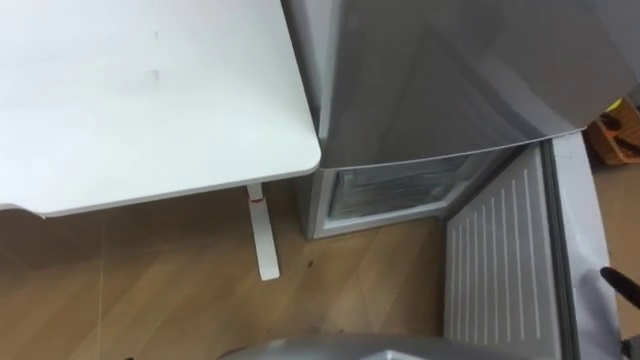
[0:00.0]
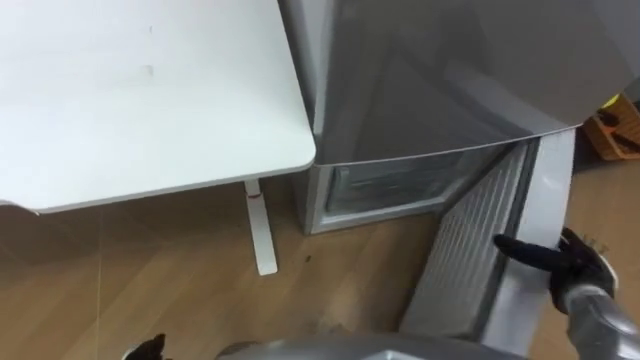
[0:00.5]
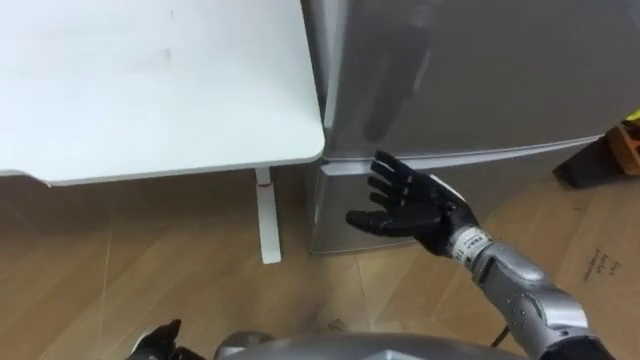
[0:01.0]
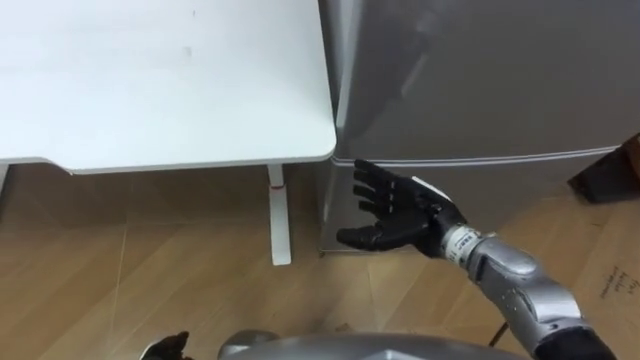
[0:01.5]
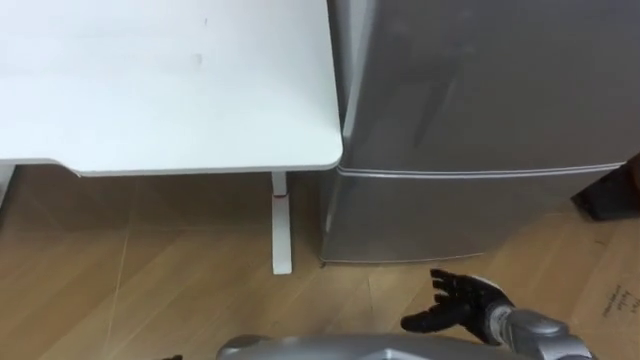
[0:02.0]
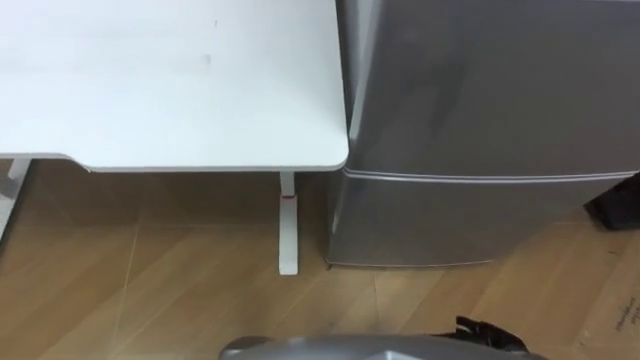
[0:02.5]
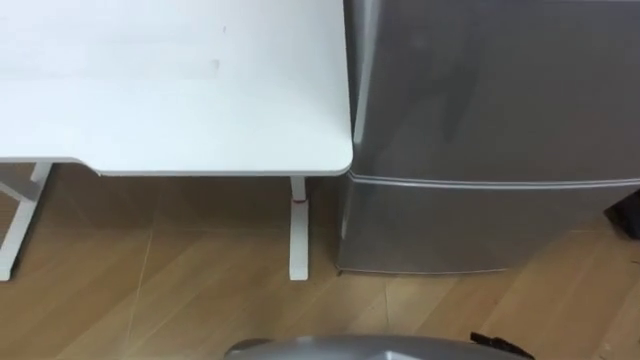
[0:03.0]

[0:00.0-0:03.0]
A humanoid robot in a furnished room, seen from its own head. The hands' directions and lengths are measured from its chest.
Task of the whole recording: Place the drink on the table on the bottom shelf of the refrigerator, then close the drawer and the refrigerator door.
0.0 to 1.5 s: The right hand is displaced to the left and forward by about 35 cm.

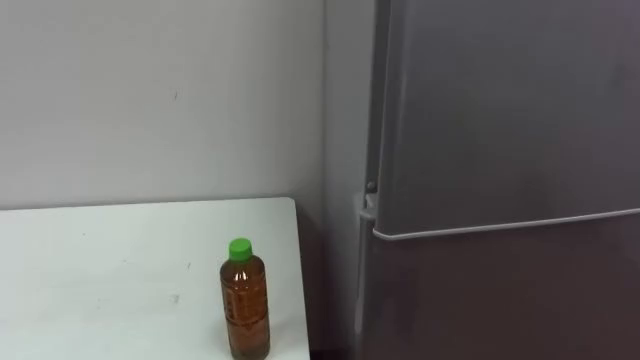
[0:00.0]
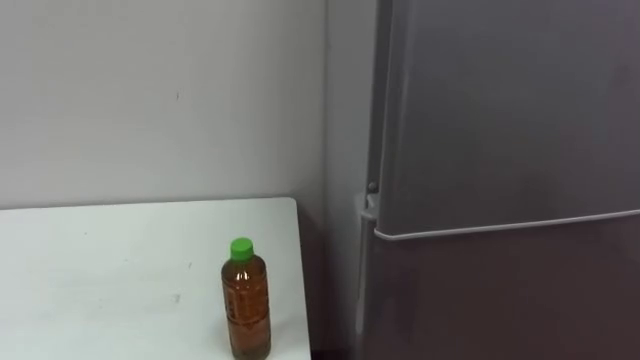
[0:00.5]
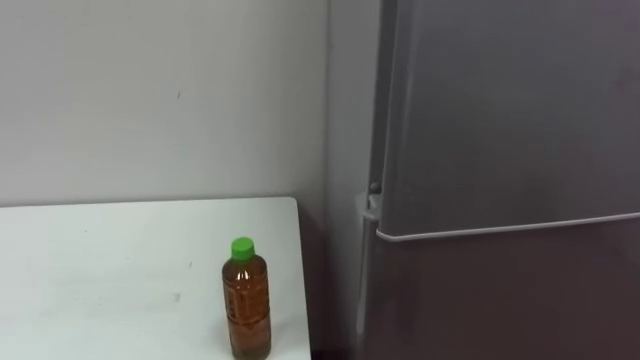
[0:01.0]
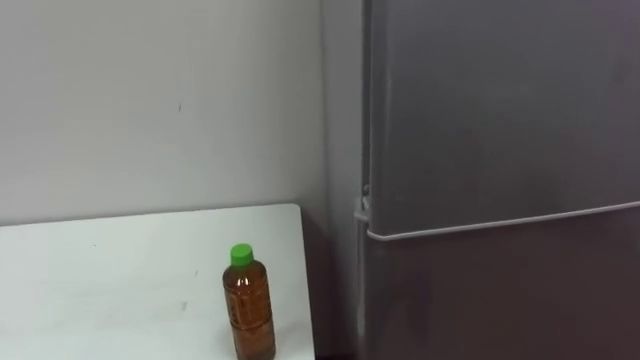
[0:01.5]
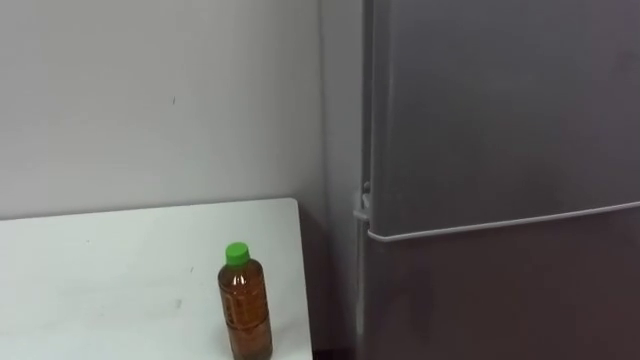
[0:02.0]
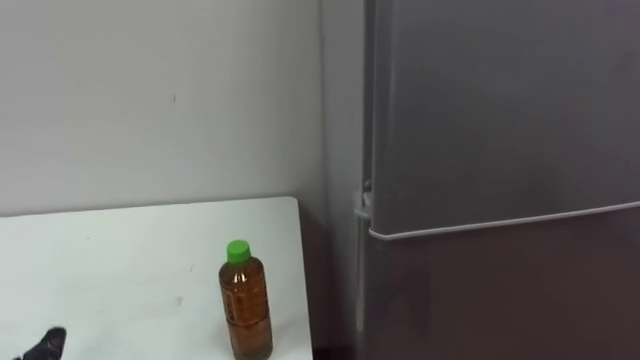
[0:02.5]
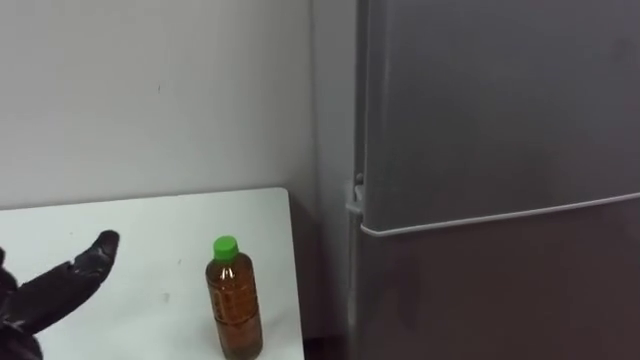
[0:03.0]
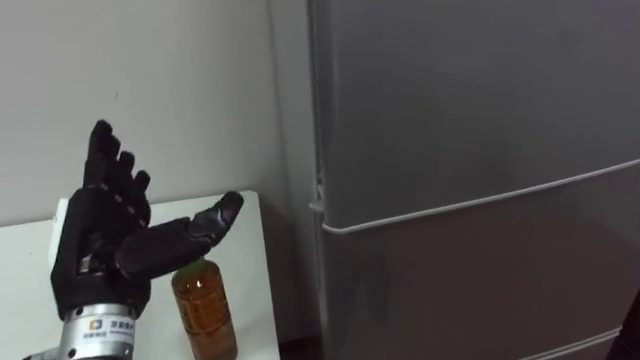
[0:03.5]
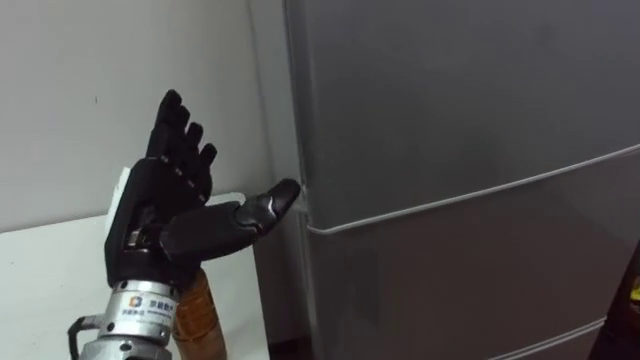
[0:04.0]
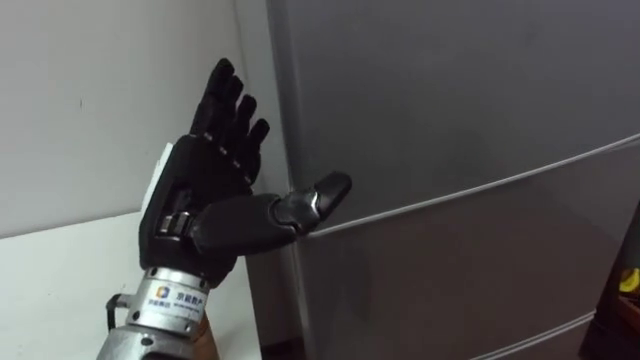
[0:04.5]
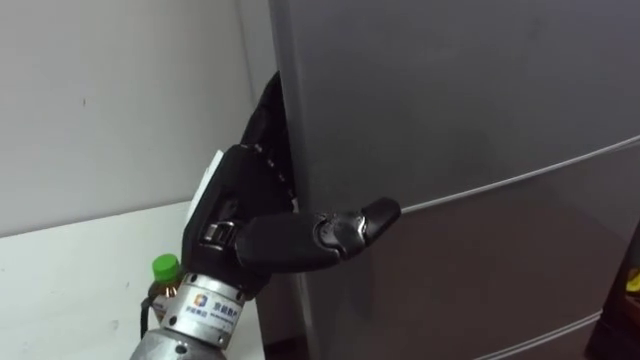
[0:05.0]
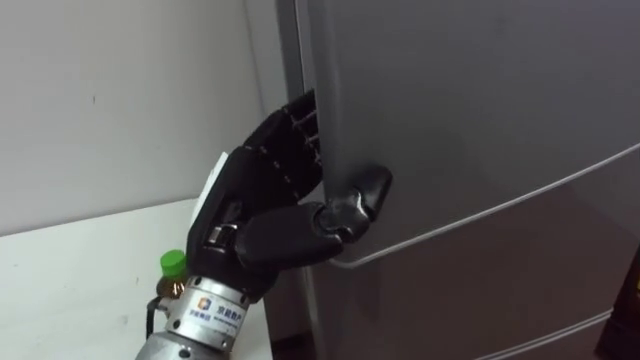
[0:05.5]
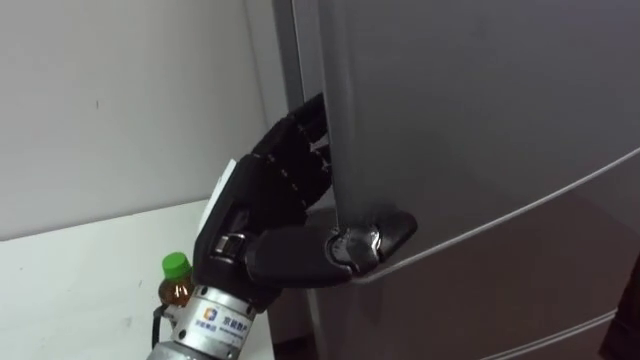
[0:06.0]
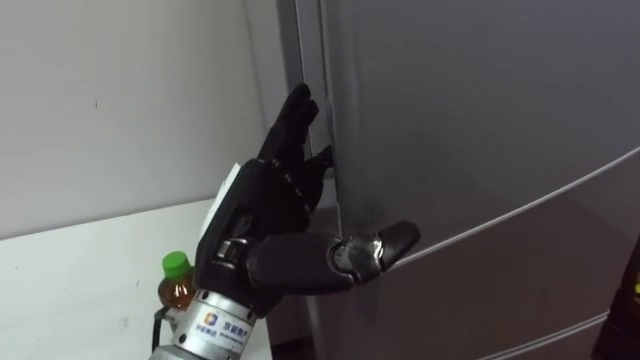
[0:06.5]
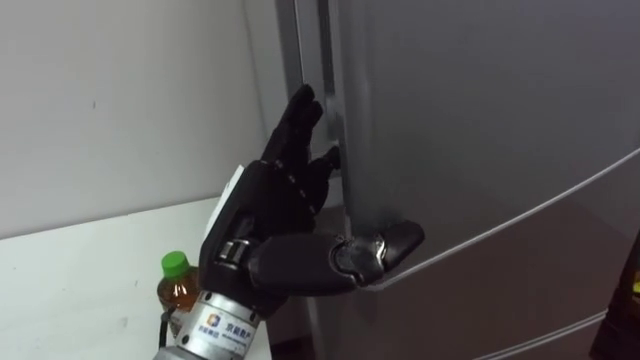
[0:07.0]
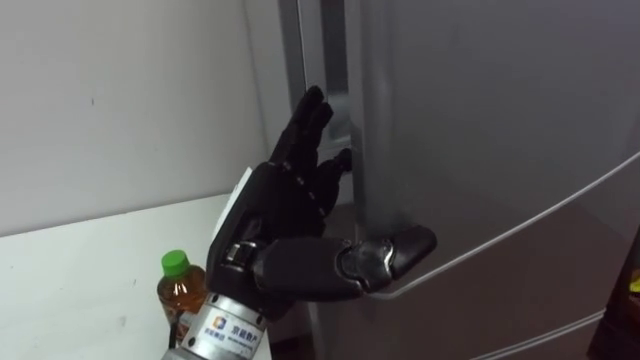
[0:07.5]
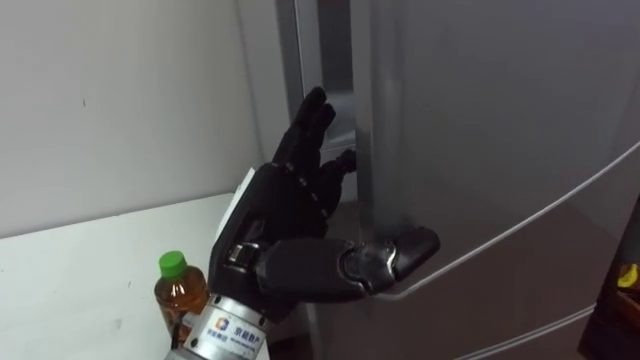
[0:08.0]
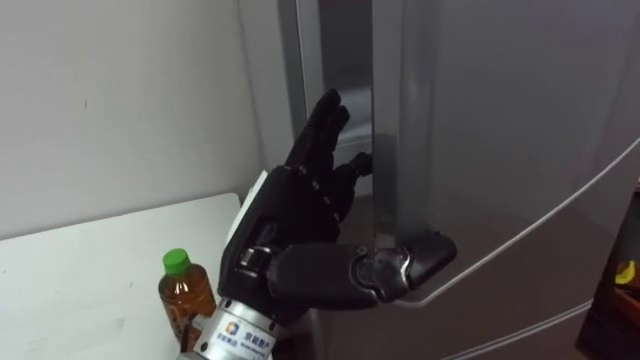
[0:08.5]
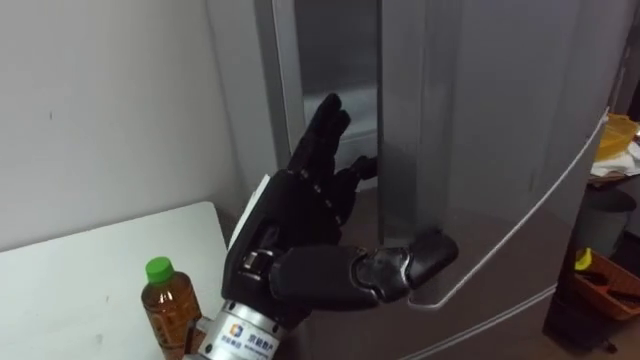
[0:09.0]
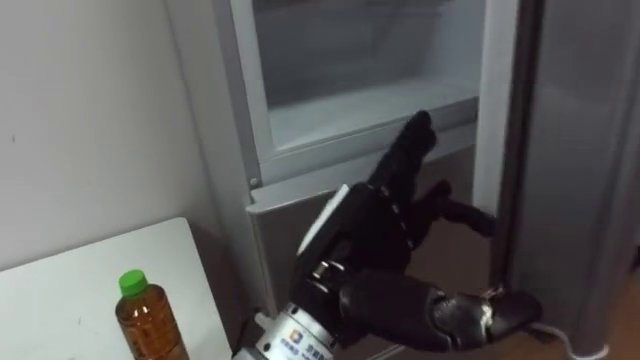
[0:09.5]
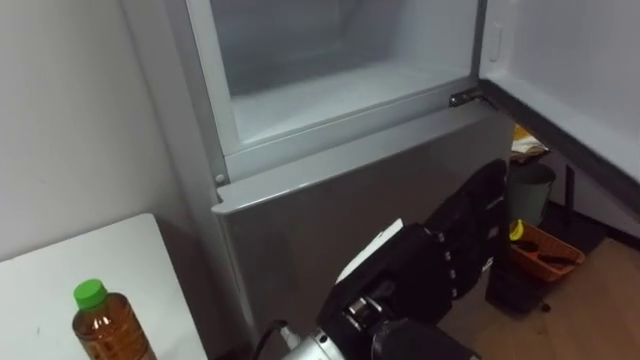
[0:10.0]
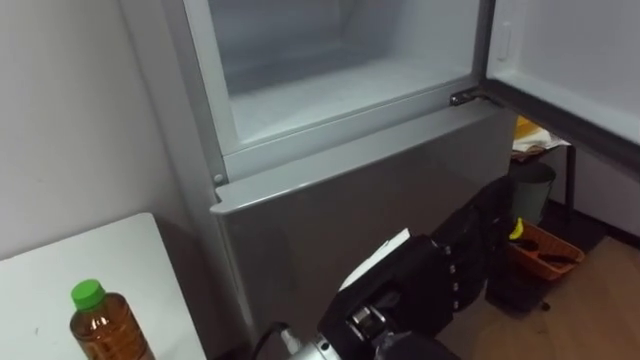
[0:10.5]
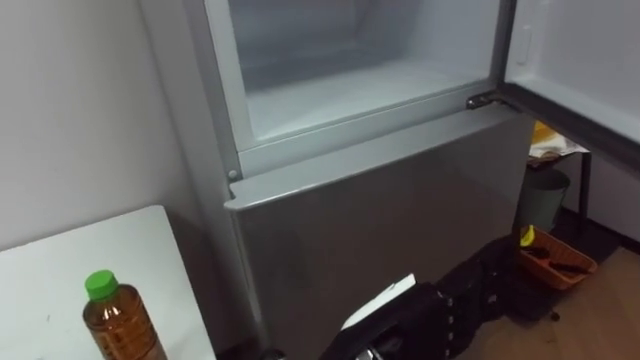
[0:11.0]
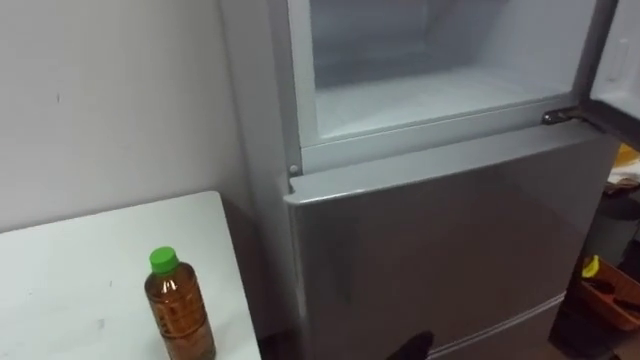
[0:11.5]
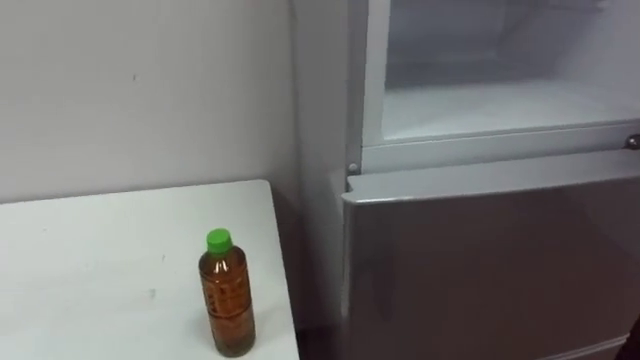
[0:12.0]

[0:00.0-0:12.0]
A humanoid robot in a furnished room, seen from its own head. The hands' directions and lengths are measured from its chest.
Task of the whole recording: Open the upper refrigerator door, put the drink from the table into the refrigerator, and then close the refrigerator door.
4.0 to 6.0 s: The left hand shifts approximately 10 cm to the right.
8.0 to 10.0 s: The left hand is displaced to the right by some 10 cm.

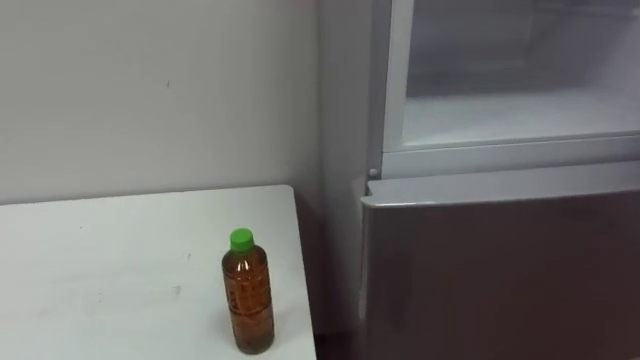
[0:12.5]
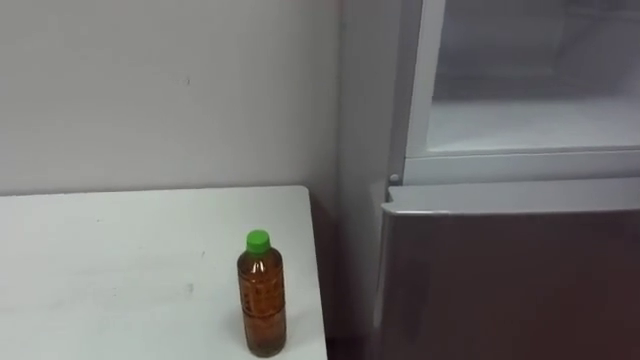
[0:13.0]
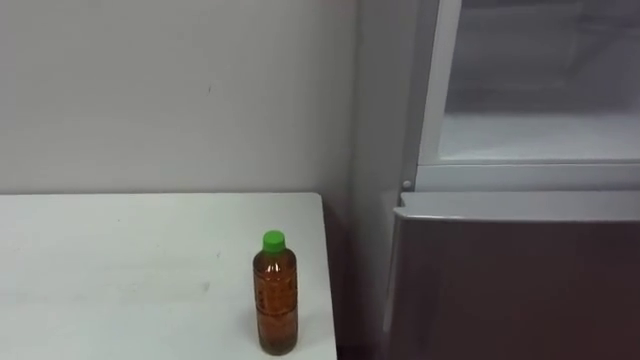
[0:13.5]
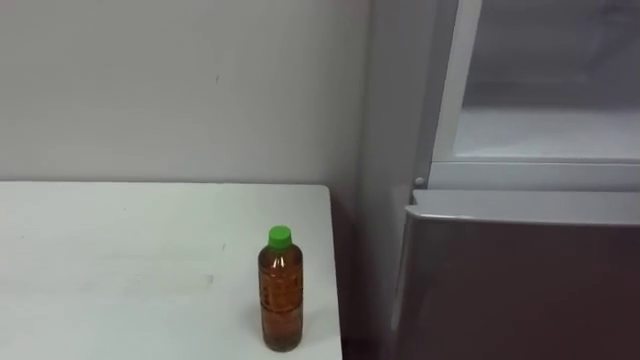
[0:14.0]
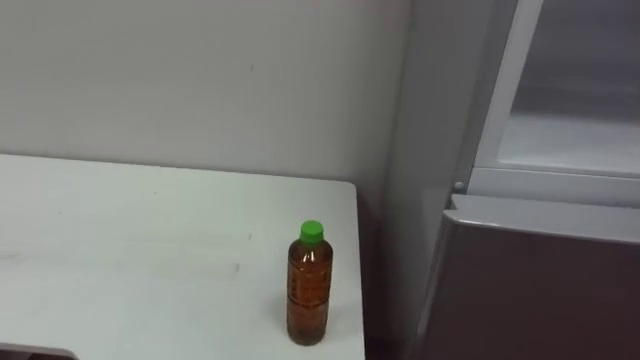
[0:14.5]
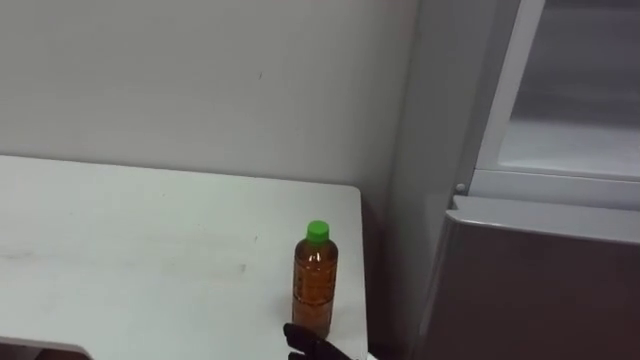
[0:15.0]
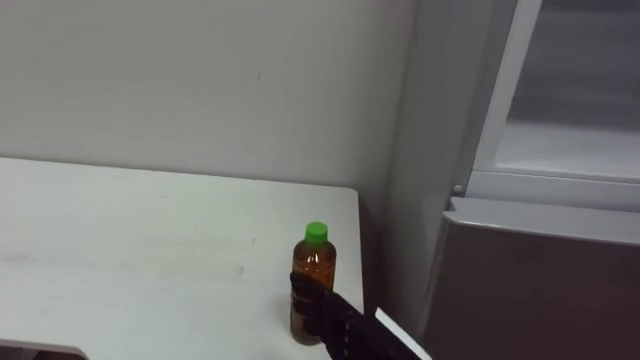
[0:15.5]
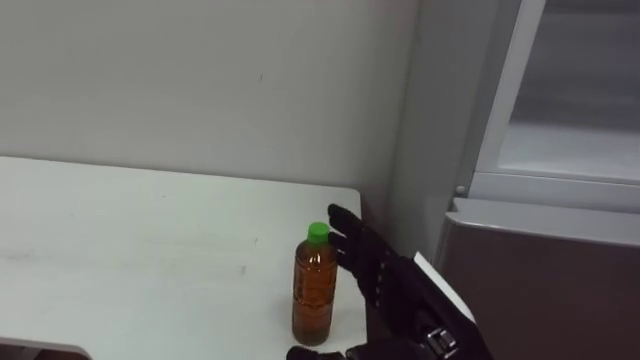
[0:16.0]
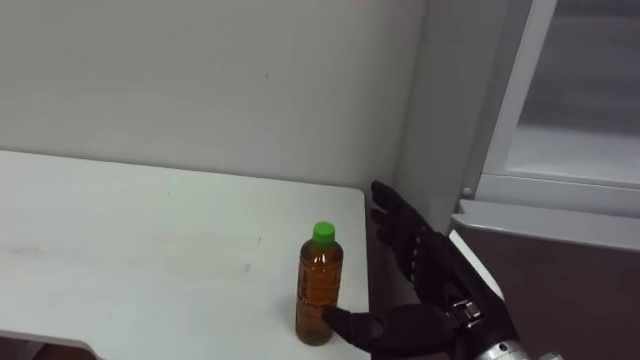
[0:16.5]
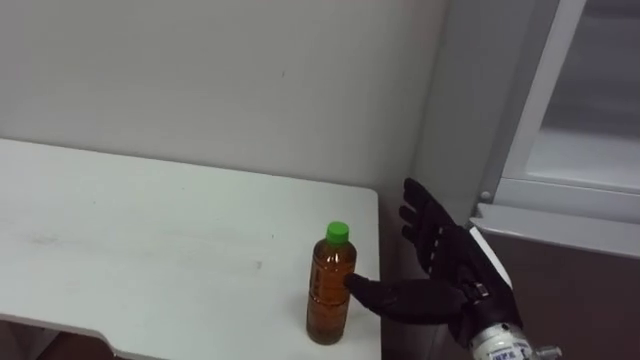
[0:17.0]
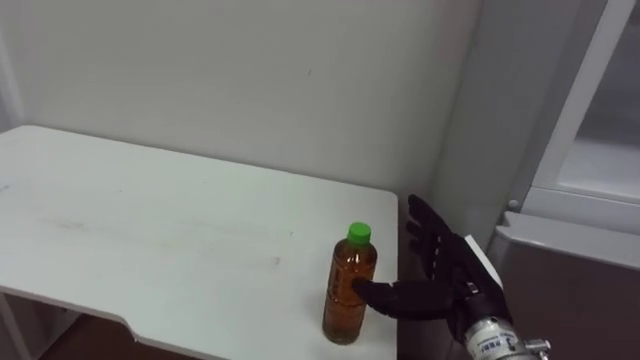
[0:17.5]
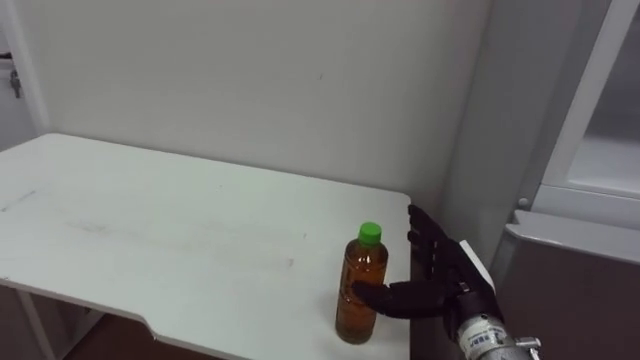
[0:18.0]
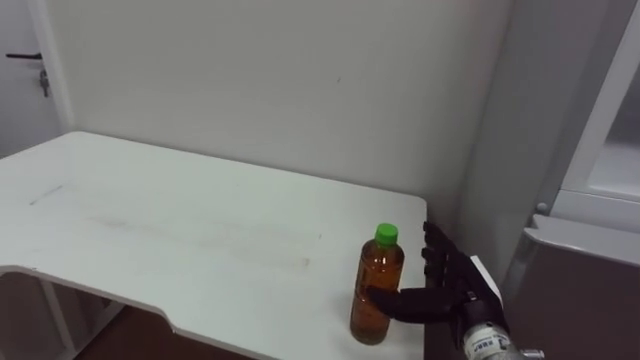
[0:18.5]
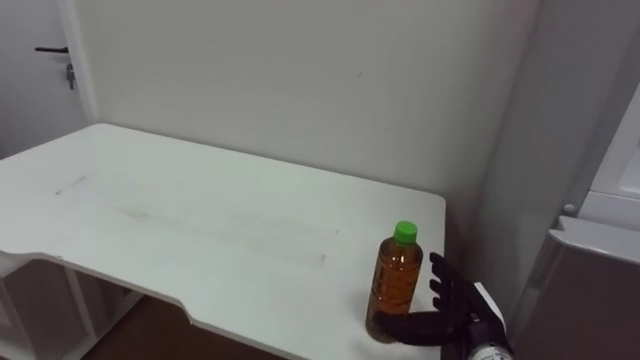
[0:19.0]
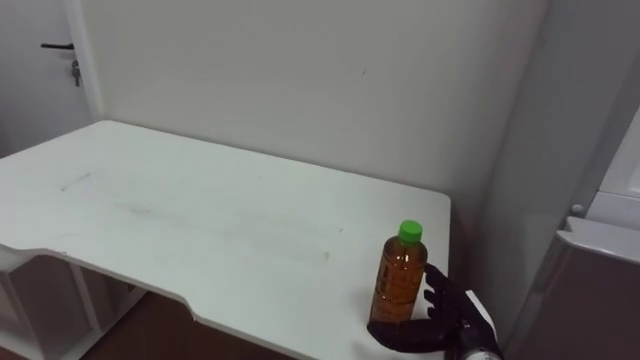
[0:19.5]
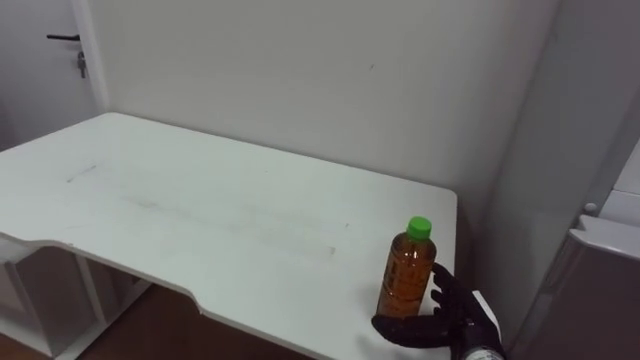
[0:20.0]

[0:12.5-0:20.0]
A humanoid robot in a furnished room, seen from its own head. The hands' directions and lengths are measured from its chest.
Task of the whole recording: Open the upper refrigerator door, put the drink from the table into the refrigerator, and then close the refrigerator door.
16.5 to 18.0 s: The right hand is displaced forward and downward by approximately 10 cm.
18.0 to 20.0 s: The right hand goes approximately 10 cm downward.
